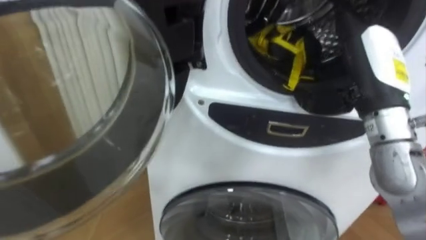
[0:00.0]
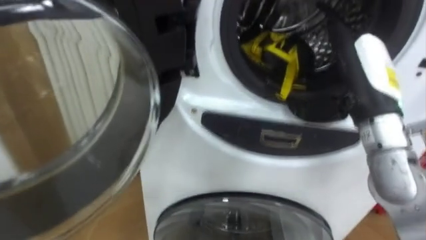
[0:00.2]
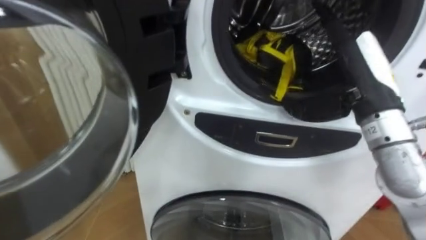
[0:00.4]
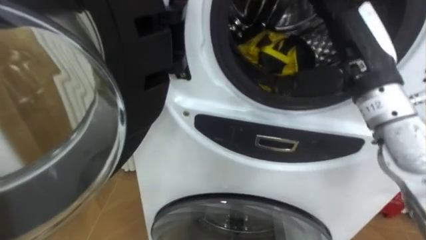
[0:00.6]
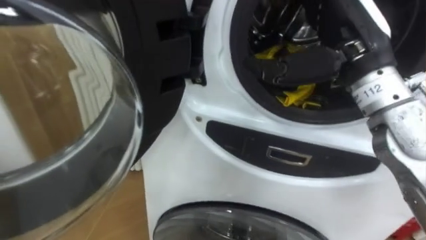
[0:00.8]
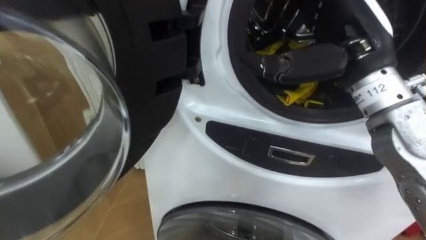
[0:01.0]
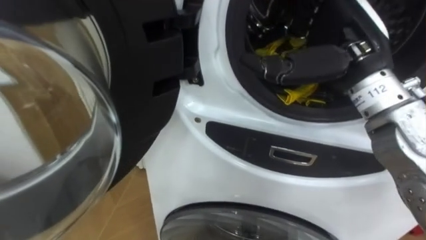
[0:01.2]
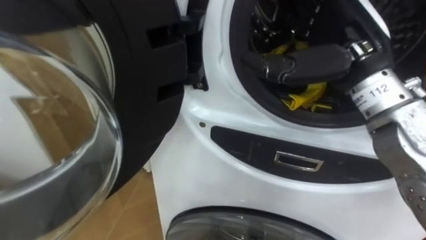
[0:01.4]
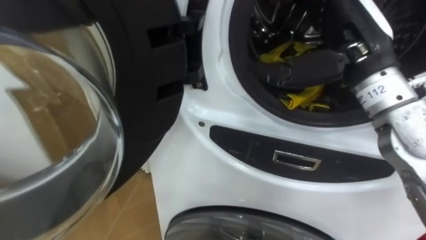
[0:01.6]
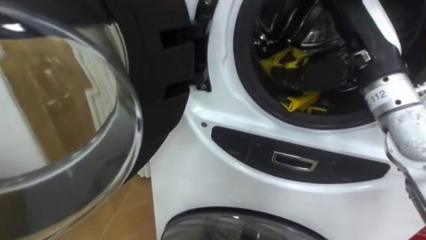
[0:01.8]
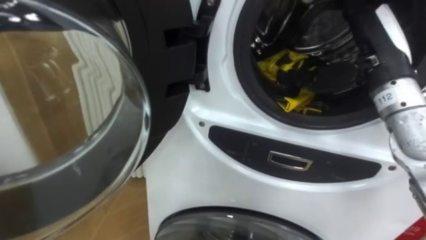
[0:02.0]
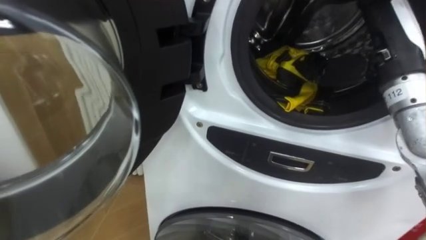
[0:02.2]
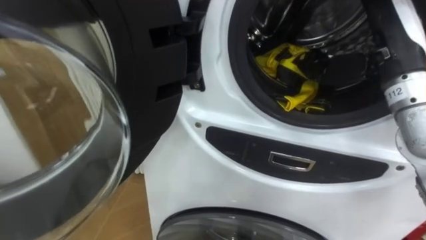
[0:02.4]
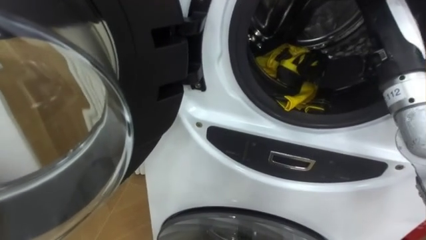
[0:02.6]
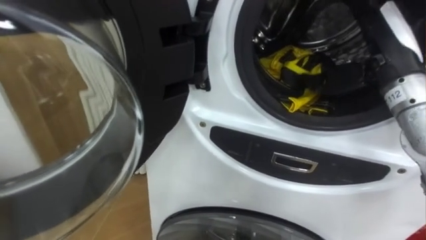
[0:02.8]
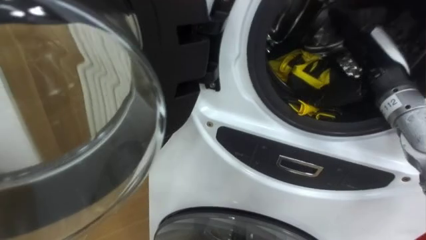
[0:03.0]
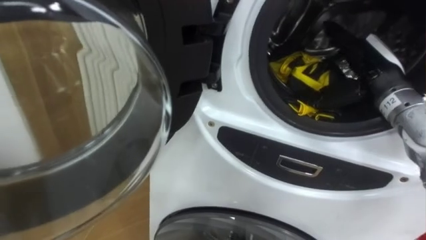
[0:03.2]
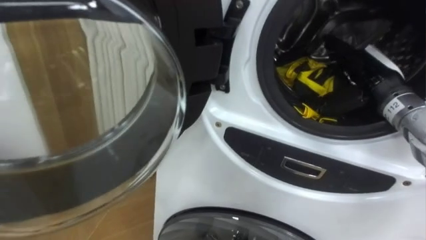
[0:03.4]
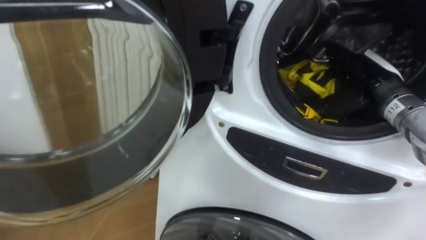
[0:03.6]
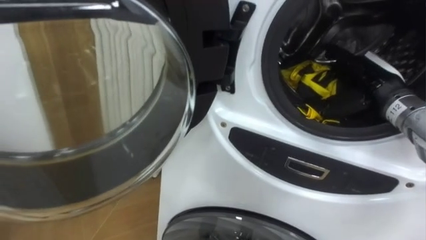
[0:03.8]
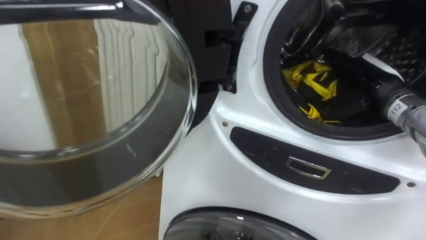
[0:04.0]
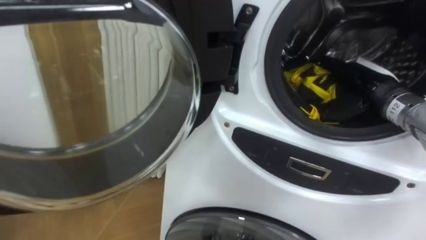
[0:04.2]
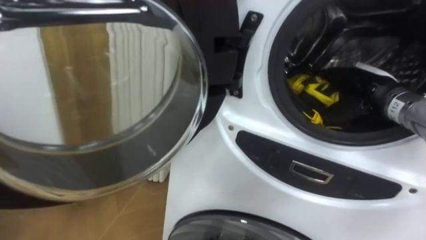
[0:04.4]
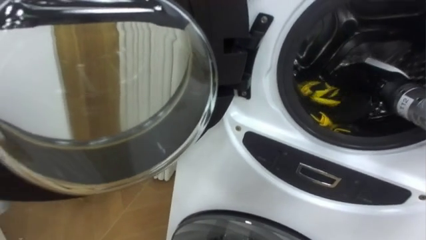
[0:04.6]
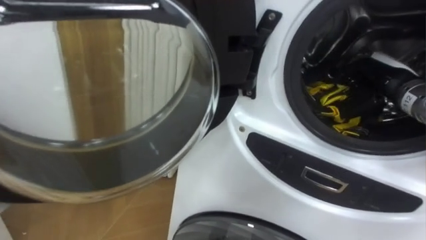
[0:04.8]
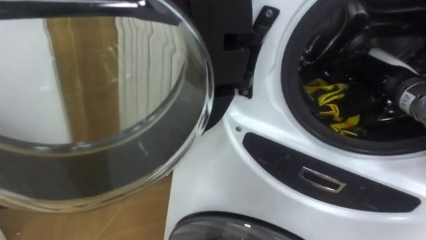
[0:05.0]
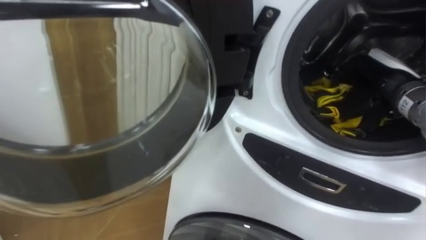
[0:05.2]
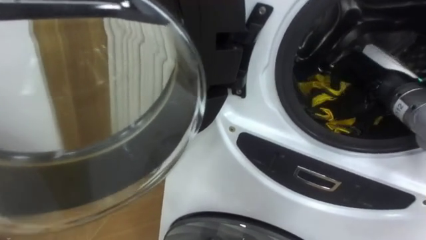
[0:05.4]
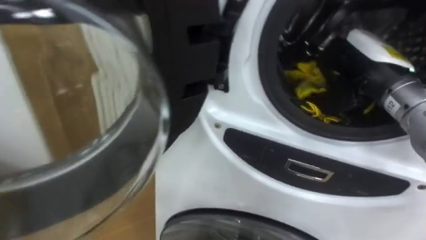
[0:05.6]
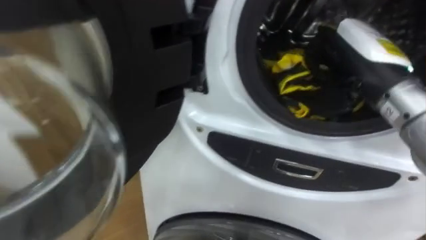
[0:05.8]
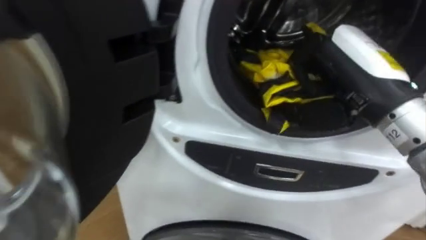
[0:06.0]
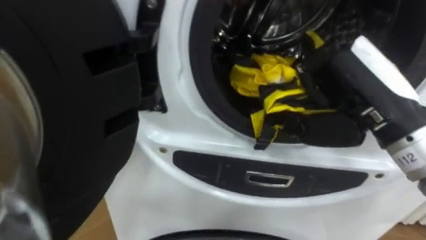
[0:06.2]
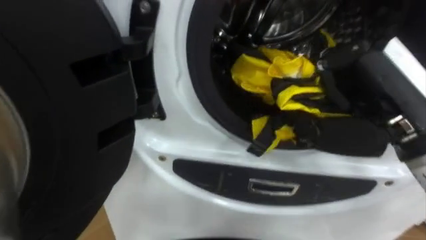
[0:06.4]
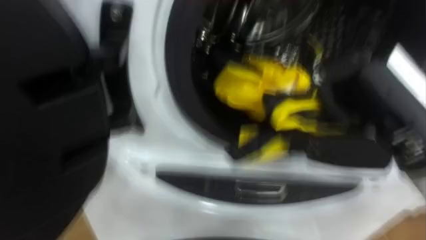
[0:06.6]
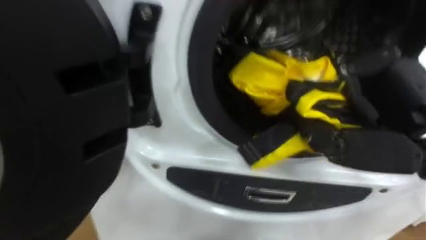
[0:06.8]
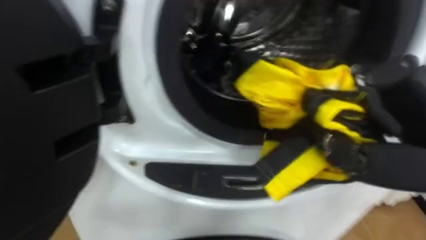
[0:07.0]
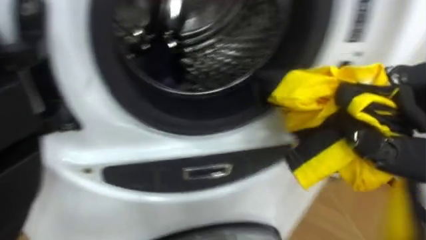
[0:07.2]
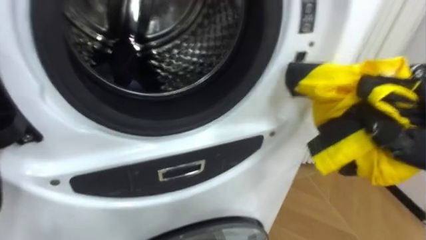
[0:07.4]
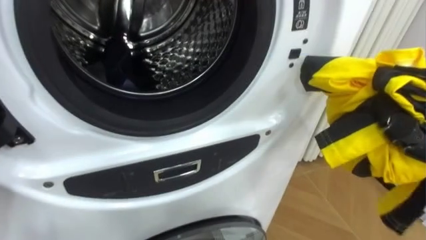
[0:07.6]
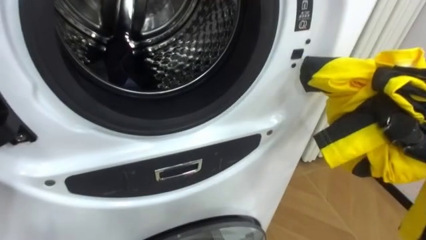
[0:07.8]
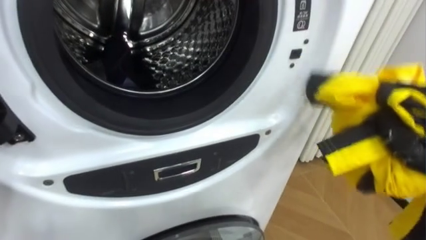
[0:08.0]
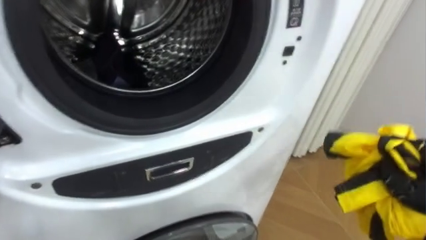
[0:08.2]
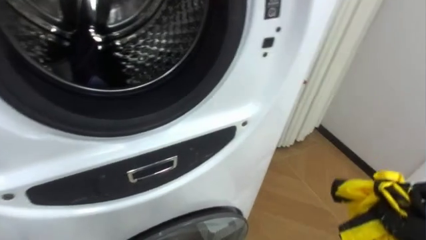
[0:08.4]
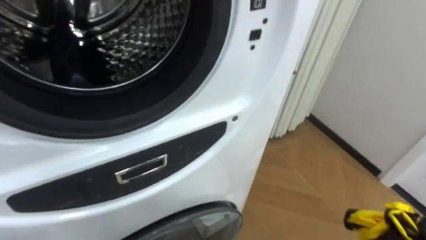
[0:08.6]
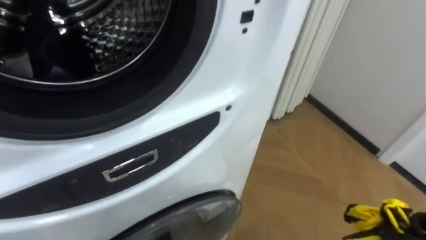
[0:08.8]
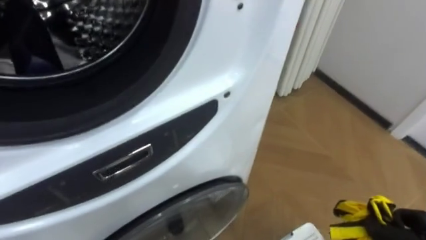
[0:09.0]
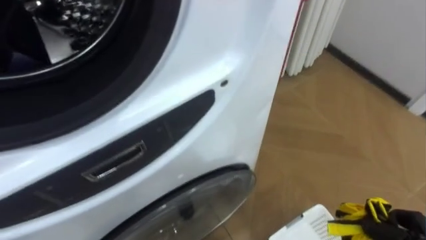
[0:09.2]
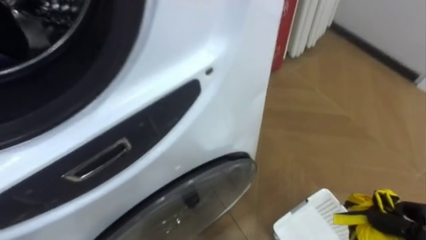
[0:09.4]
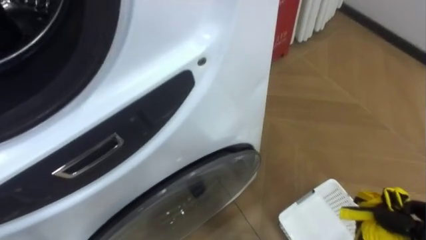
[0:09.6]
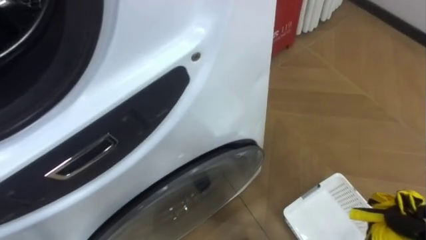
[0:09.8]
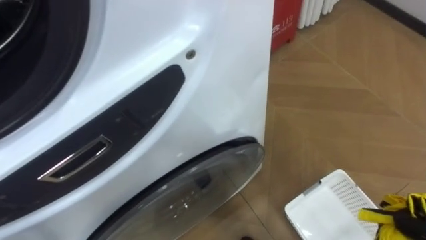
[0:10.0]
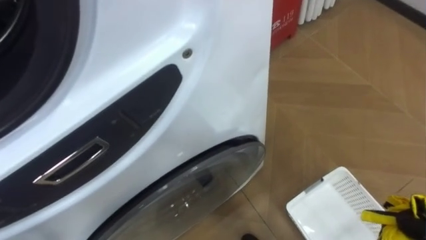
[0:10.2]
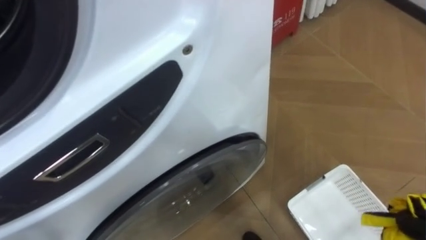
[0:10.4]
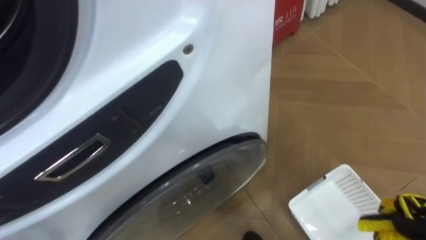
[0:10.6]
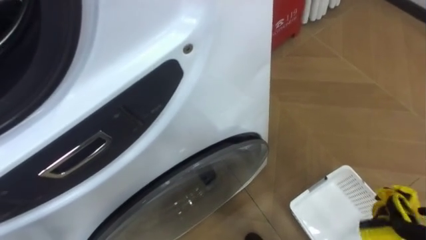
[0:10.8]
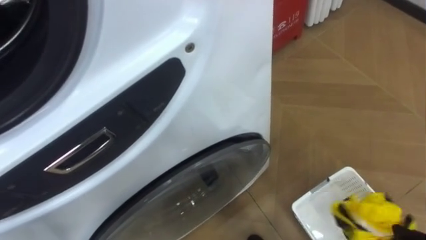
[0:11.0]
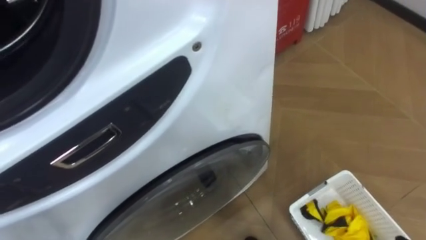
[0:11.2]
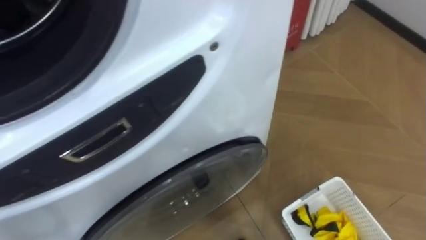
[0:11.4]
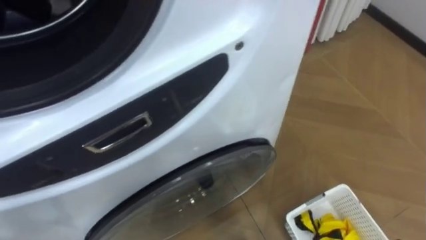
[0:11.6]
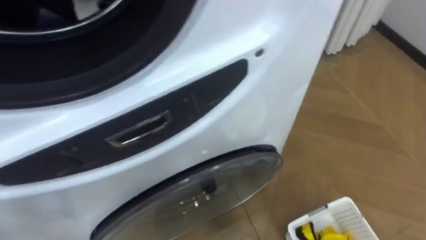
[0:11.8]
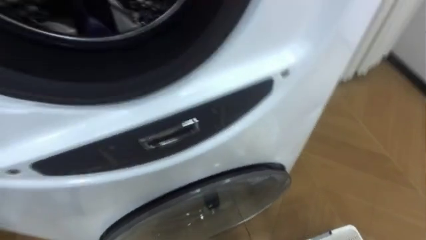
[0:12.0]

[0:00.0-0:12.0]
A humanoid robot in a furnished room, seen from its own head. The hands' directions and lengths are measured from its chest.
Task of the whole recording: Open the washing machine door, take out the yellow clothes, place them in the box on the right, and close the washing machine door.
0:00.0 to 0:01.6: The right hand shifts roughly 5 cm upward.
0:01.6 to 0:03.0: The right hand travels to the right and downward by approximately 10 cm.
0:03.0 to 0:04.4: The right hand moves downward, about 5 cm.
0:04.4 to 0:06.0: The right hand moves upward, backward and to the left, roughly 20 cm, and closes its fingers.

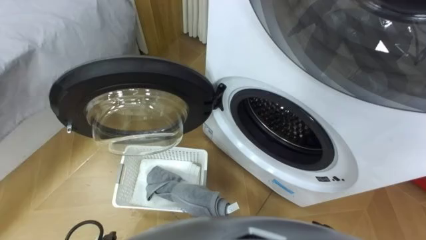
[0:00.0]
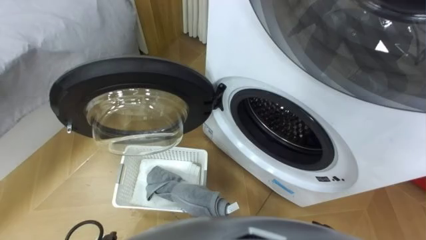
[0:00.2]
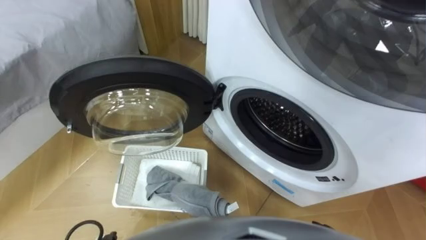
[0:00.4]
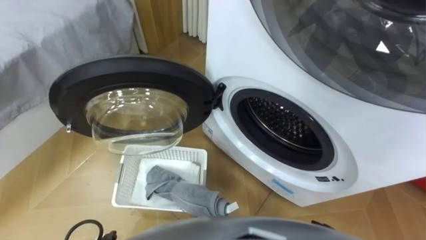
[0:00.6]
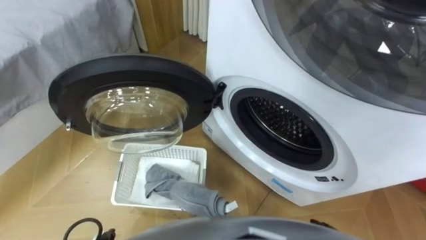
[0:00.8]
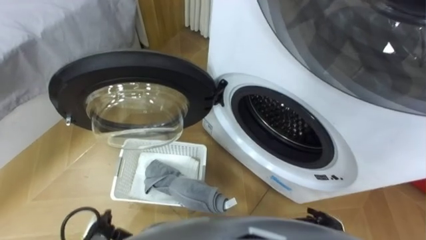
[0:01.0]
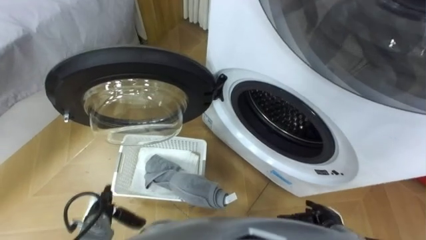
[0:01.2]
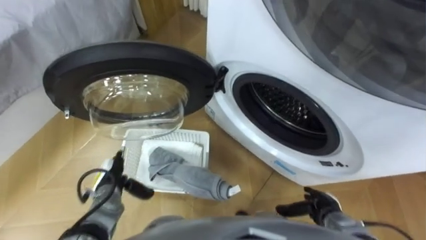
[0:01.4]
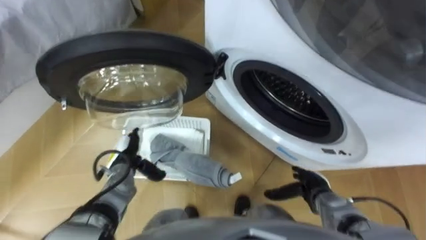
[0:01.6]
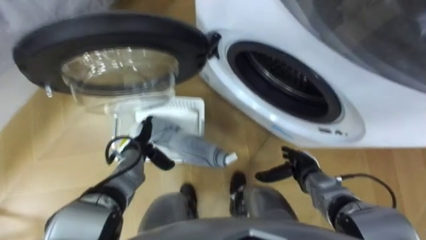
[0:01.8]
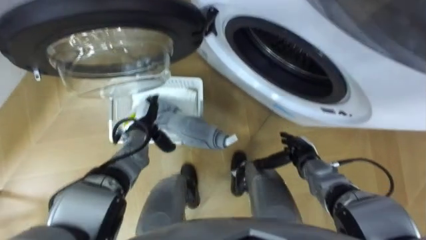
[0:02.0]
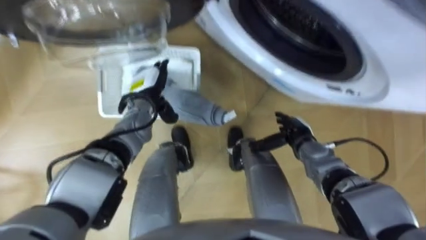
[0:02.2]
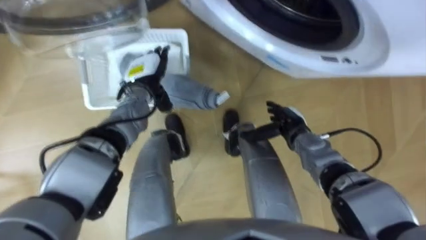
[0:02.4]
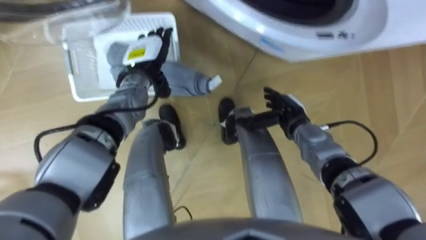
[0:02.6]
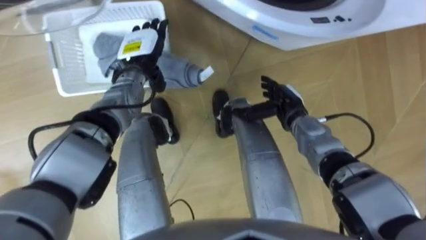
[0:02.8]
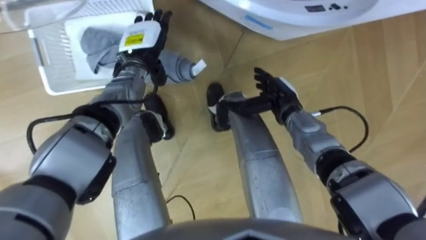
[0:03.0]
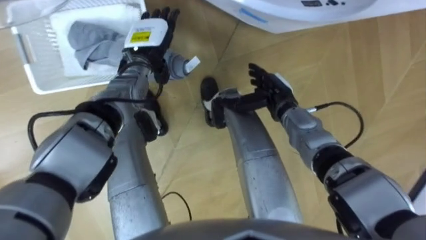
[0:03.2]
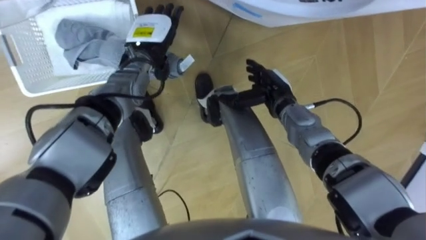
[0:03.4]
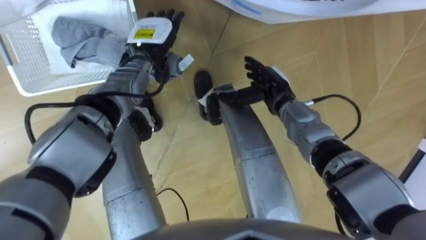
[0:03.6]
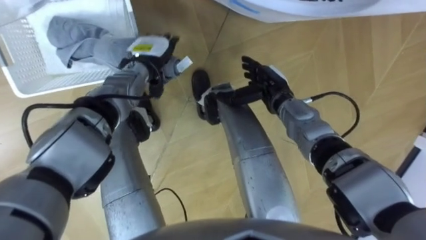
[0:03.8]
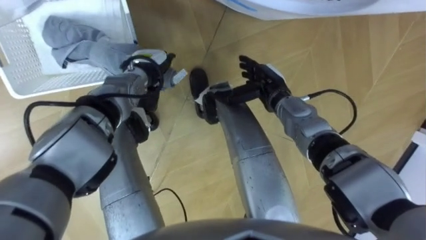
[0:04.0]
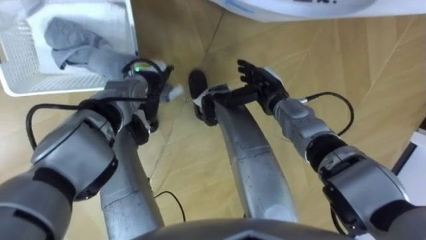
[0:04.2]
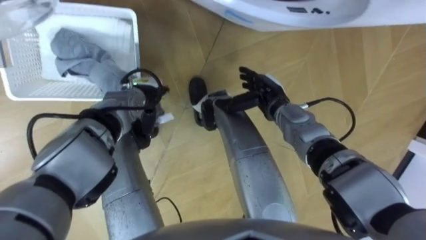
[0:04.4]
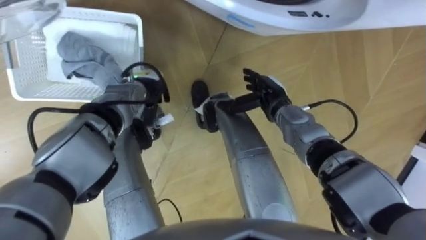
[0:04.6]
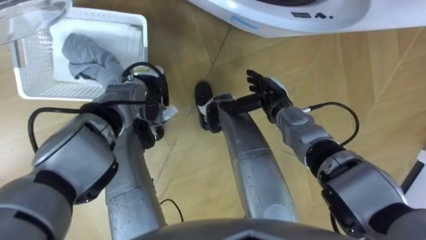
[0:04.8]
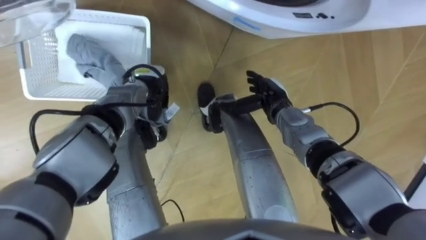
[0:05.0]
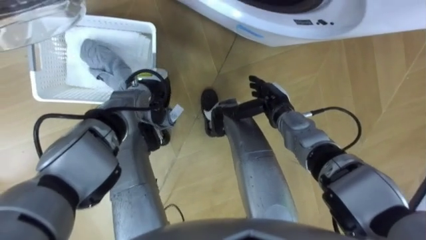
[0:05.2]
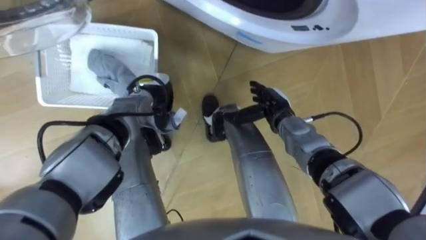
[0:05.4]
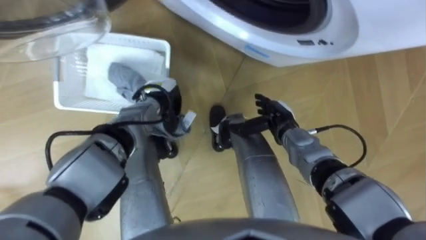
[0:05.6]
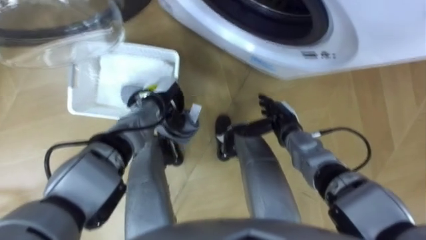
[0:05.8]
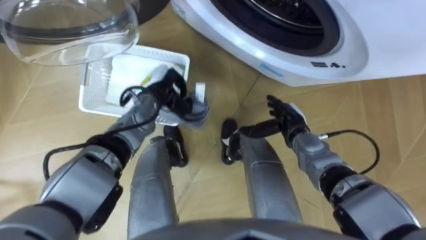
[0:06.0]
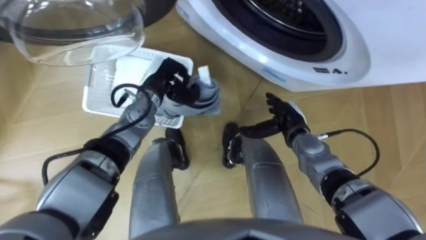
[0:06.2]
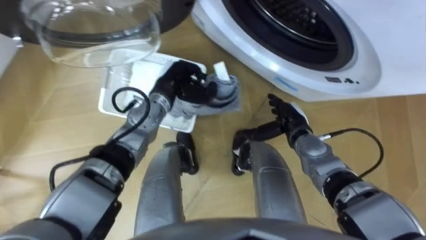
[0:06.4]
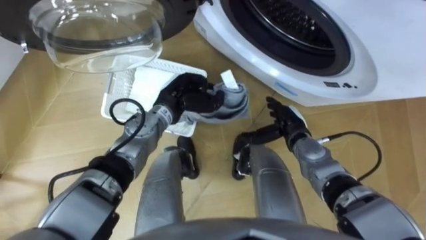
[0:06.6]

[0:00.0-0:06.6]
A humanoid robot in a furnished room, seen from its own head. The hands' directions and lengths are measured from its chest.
Task of the whole recording: Take the towel from the basket and put it into the washing machine.
0:01.6 to 0:03.2: The right hand goes roughly 25 cm forward, upward and to the left. The left hand heads forward and upward, covering approximately 25 cm.
0:03.2 to 0:05.0: The left hand travels downward by approximately 10 cm, and closes.
0:05.0 to 0:06.6: The right hand travels backward by some 5 cm; the left hand shifts some 5 cm to the right.
